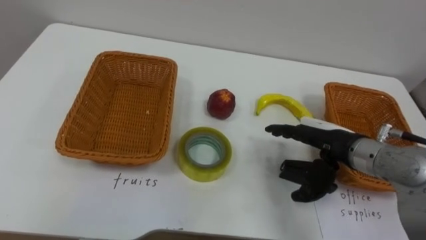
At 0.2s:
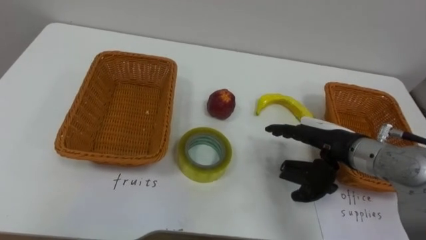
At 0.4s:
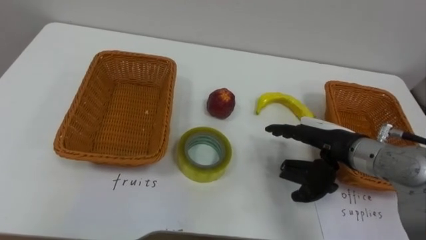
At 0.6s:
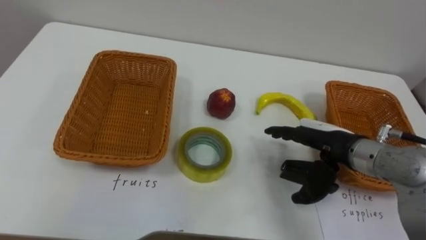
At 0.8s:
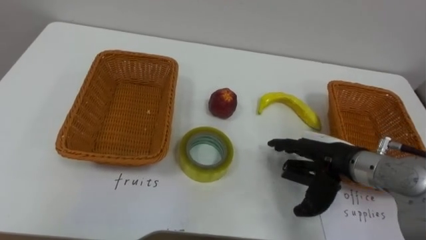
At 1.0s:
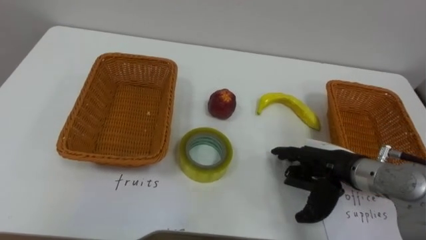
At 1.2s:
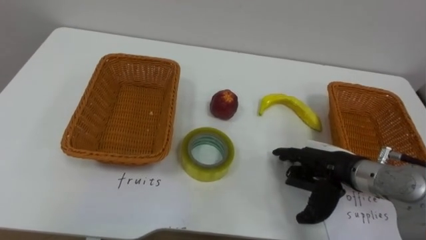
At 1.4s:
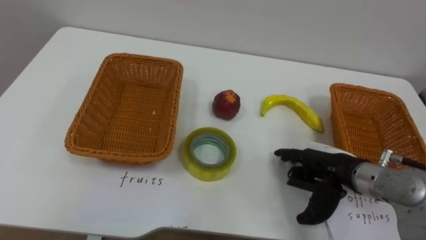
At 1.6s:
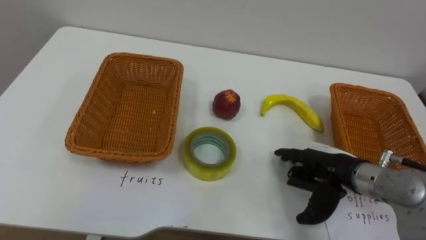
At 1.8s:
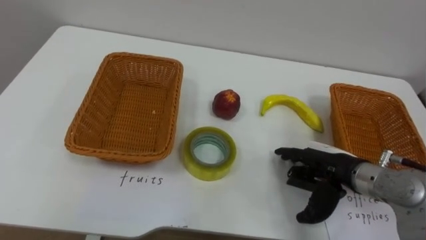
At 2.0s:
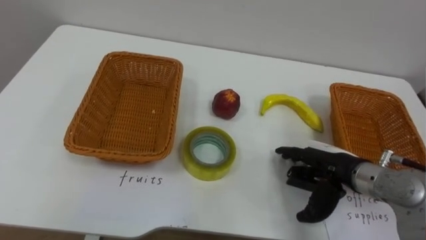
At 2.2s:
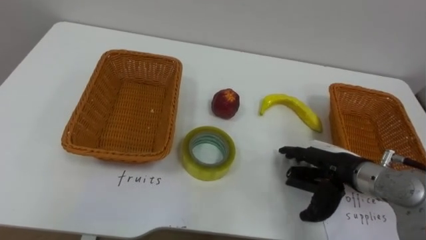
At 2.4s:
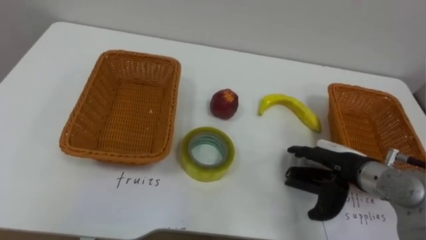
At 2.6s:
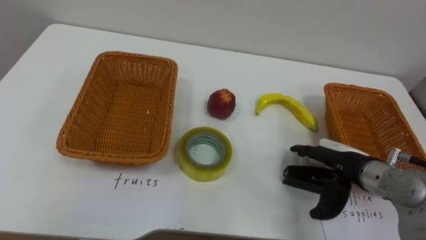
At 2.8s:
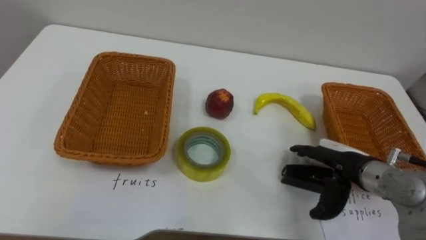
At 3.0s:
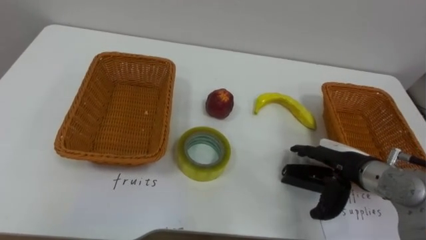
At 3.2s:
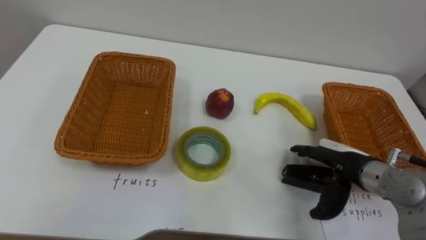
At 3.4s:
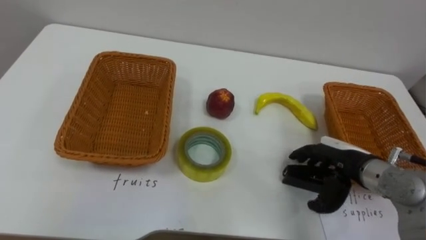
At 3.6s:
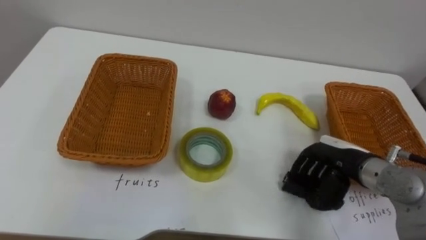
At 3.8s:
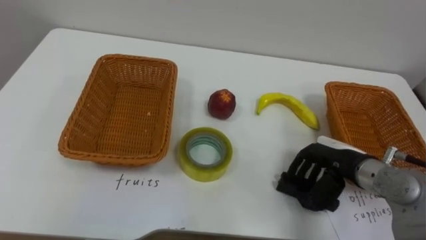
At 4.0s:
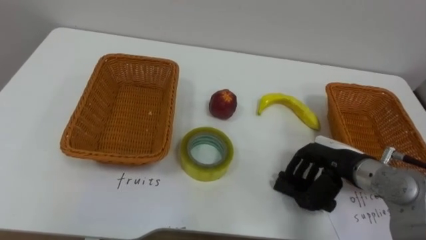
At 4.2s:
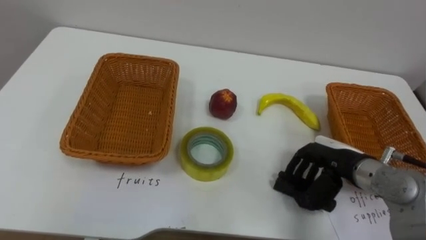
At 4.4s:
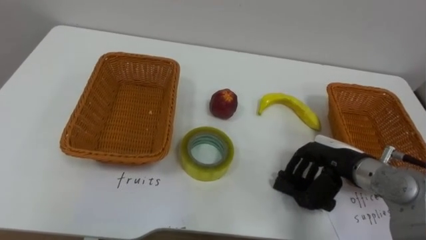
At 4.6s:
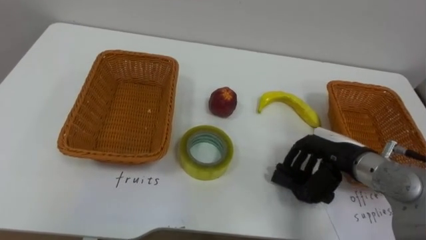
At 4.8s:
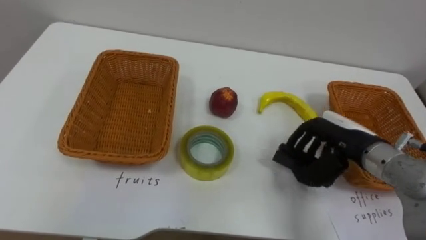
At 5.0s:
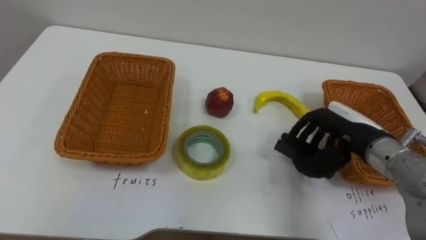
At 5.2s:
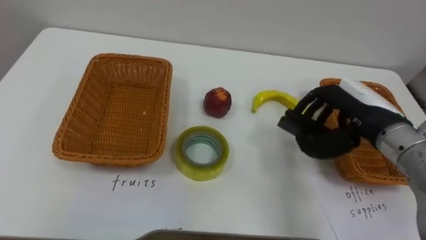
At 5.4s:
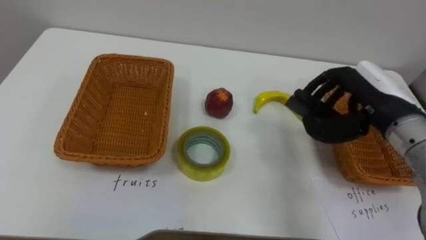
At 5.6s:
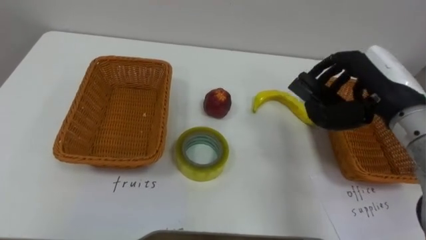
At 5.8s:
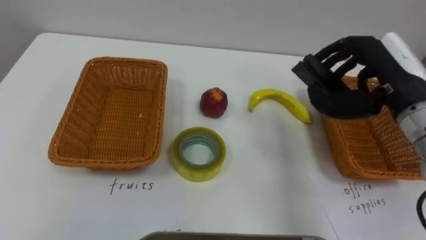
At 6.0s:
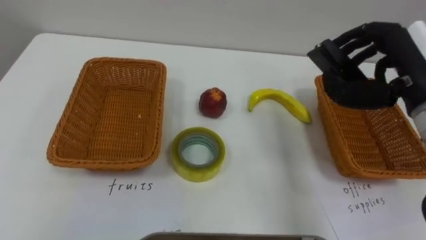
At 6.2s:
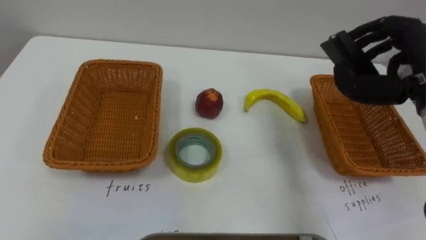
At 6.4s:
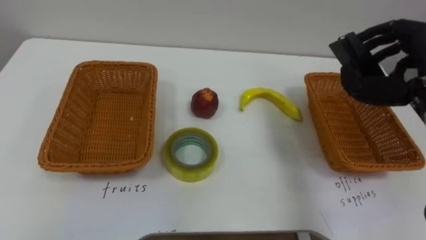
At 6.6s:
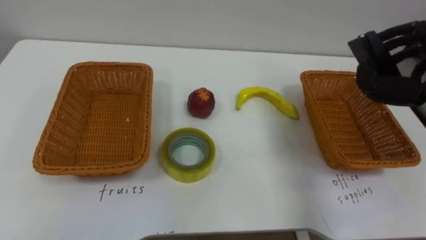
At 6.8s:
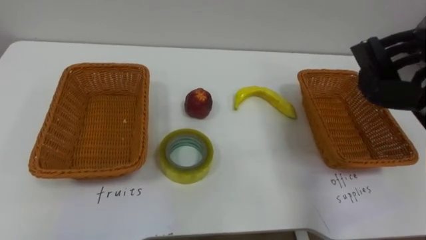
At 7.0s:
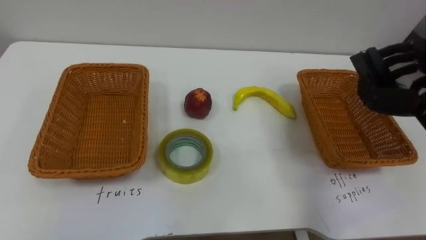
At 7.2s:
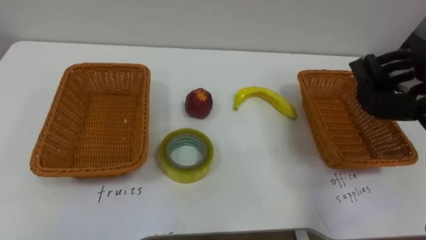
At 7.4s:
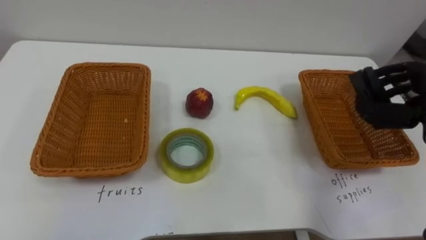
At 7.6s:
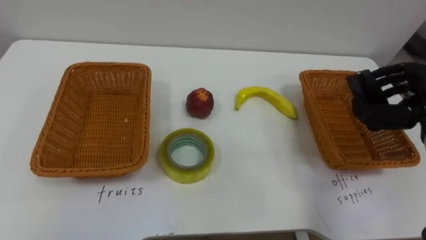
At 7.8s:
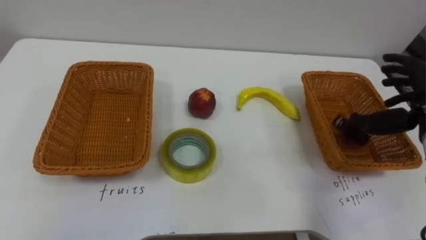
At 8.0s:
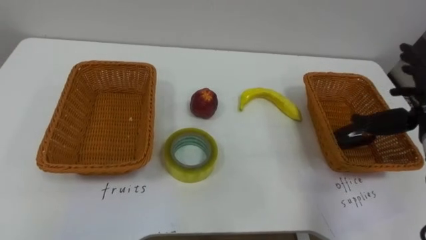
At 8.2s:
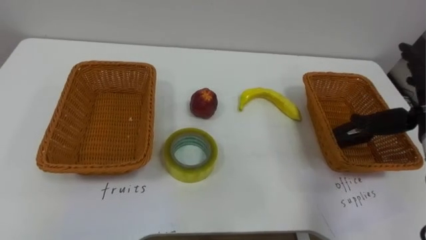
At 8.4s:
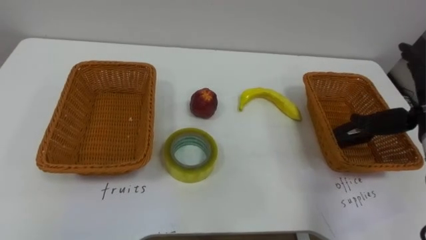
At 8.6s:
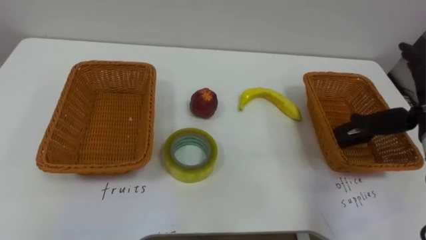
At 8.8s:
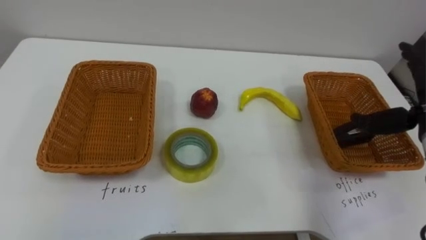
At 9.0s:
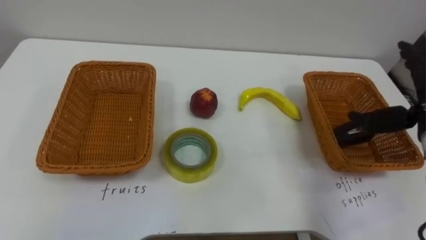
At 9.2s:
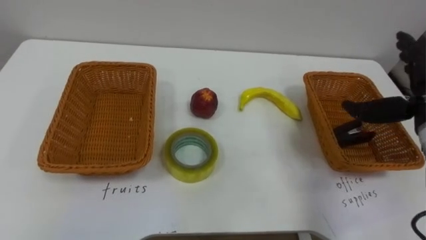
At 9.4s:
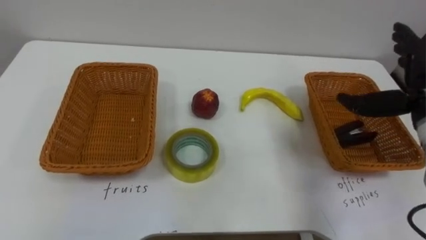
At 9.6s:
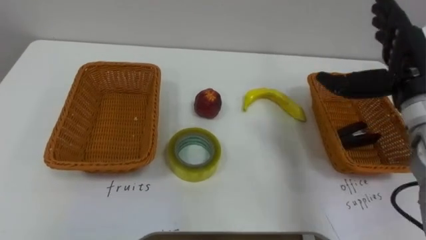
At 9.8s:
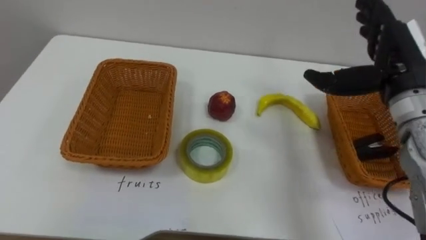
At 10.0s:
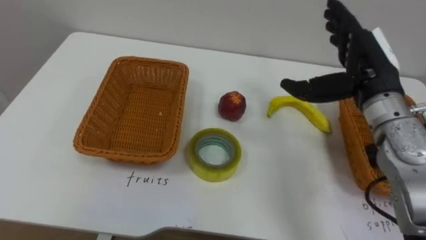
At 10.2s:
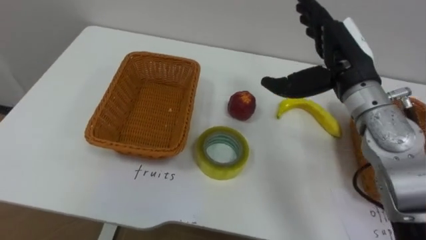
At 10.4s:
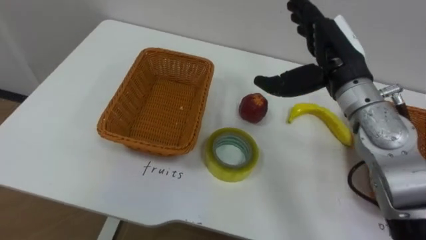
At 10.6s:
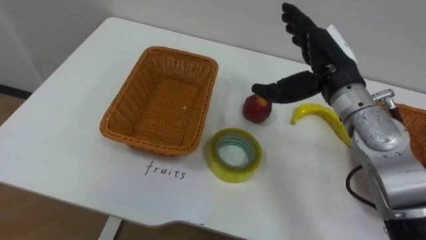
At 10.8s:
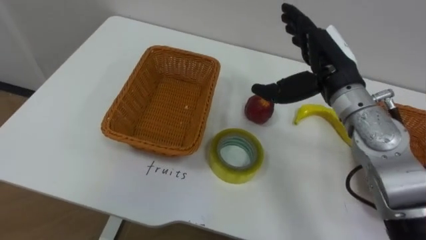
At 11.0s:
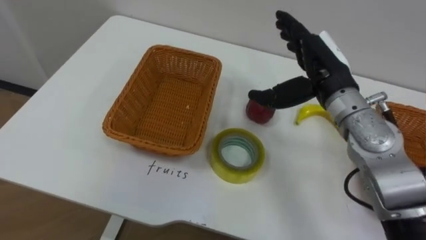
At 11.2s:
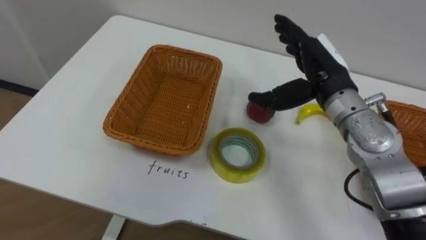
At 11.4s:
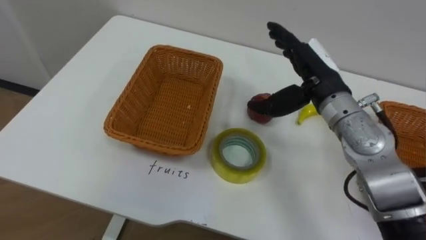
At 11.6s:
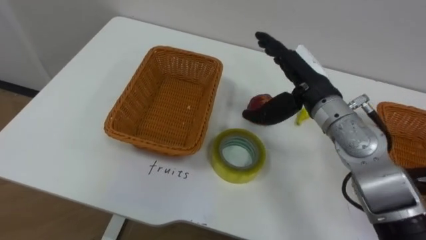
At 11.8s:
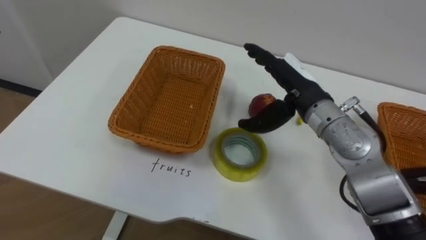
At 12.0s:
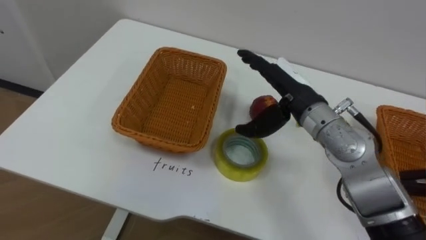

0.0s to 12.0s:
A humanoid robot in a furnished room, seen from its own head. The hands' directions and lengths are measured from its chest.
Task of the whole recording: Separate the items on the table and place them into the two baskets.
0.0s to 1.6s: The right hand shifts by some 5 cm.
3.0s to 4.4s: The right hand closes up.
4.4s to 6.0s: The right hand travels upward by about 15 cm.
10.4s to 12.0s: The right hand goes roughly 10 cm downward and to the left.

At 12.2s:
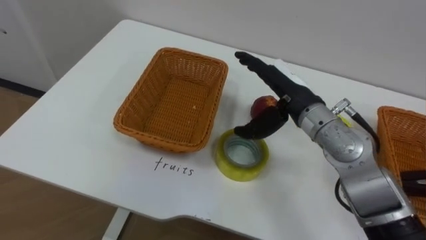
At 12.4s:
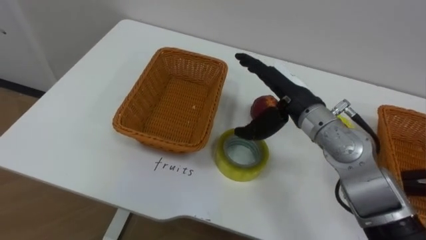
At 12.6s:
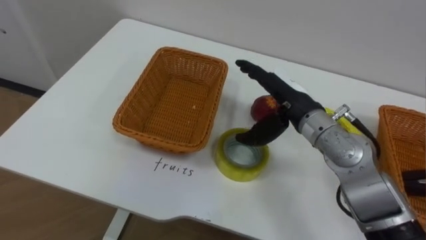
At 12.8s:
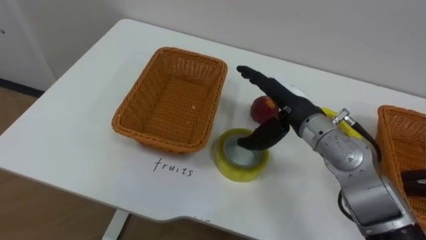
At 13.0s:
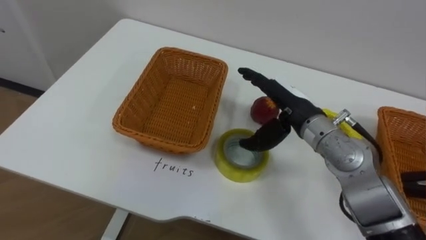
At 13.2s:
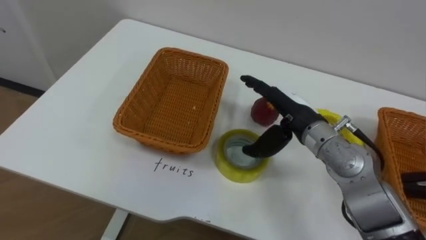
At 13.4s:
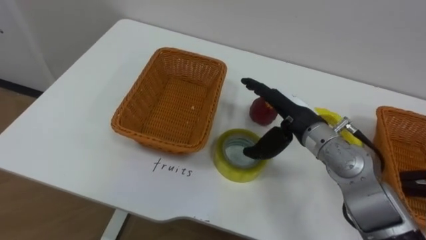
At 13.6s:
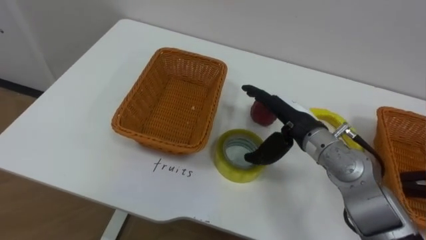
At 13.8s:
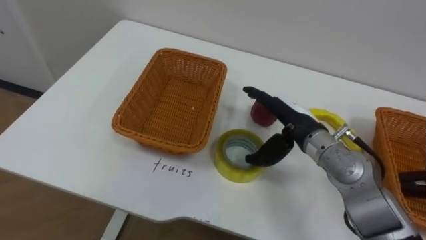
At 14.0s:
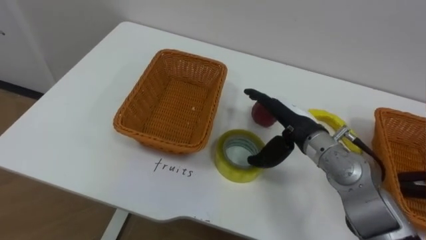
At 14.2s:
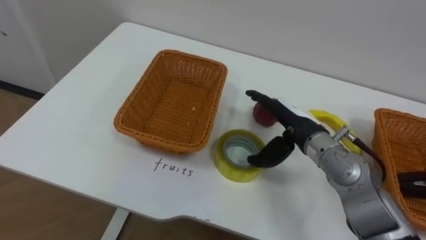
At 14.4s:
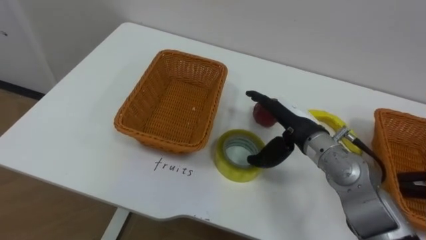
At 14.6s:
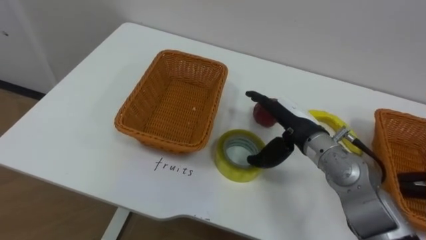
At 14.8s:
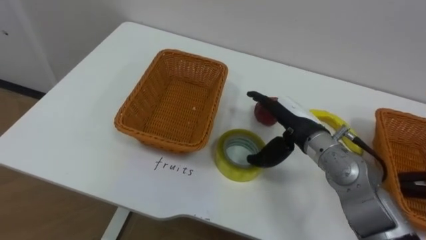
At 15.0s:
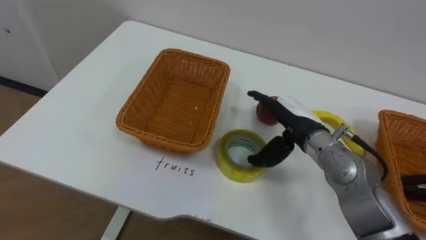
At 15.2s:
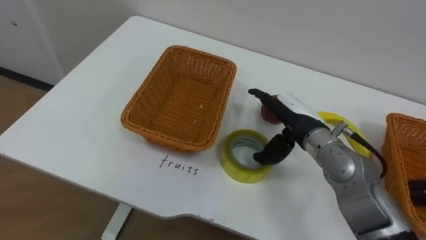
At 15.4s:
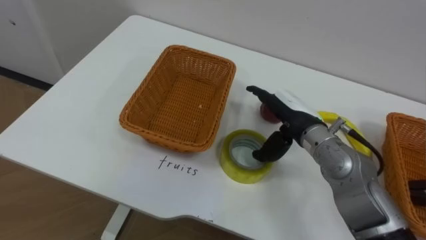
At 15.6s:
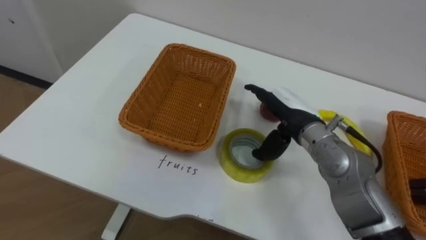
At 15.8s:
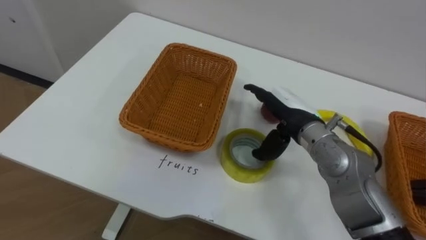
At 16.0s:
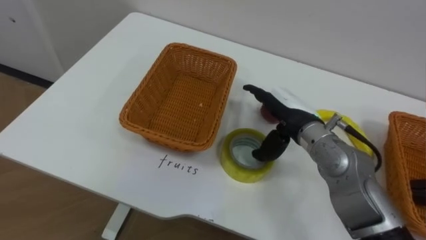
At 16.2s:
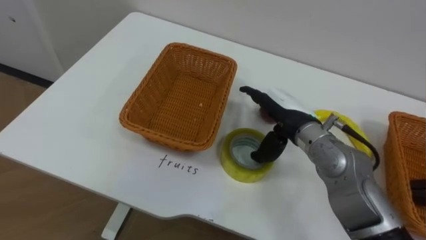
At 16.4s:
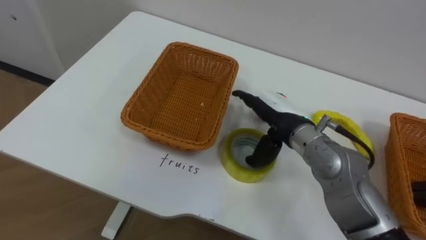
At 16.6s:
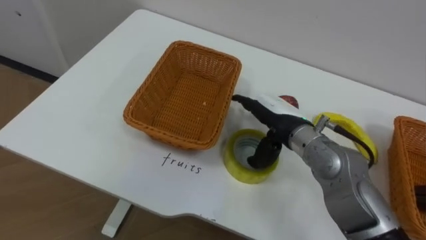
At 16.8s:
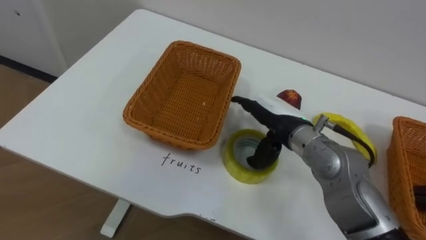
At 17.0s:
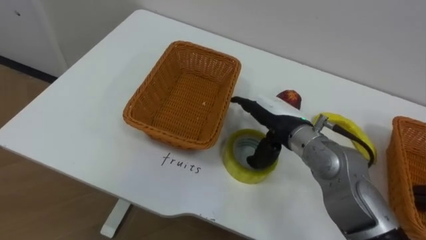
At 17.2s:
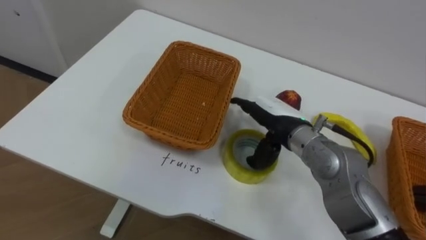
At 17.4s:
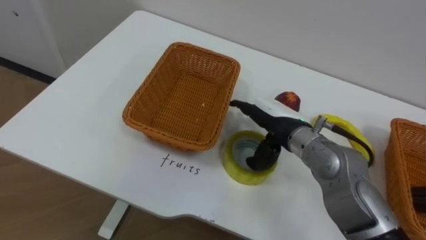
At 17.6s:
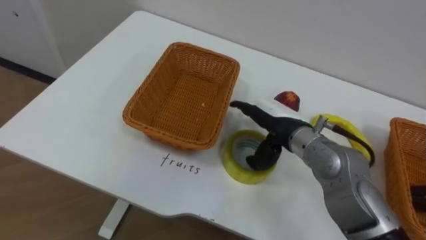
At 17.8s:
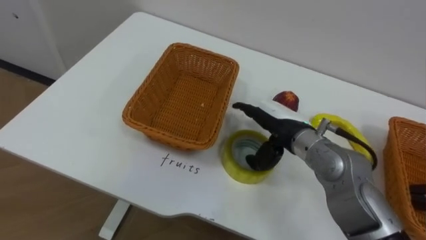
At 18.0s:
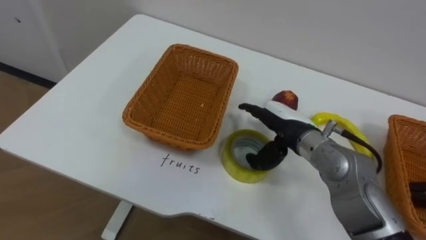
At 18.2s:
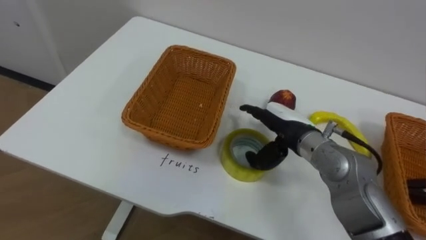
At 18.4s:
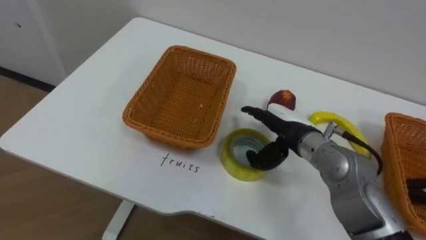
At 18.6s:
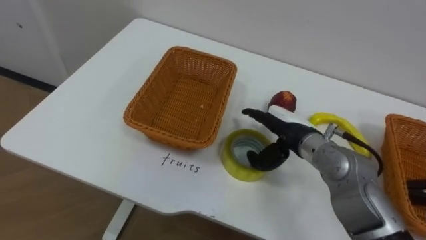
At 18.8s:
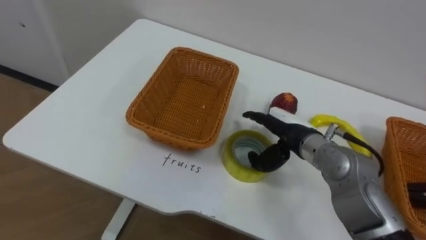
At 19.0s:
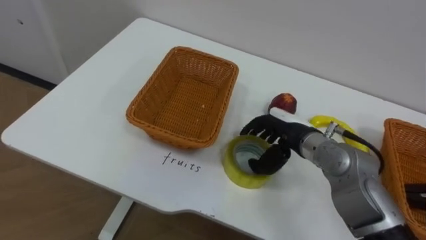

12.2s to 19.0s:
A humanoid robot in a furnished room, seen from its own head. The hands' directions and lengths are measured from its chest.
Task of the whole recording: Separate the items on the table and place them into the two baskets.
12.2s to 13.6s: The right hand is displaced downward by approximately 5 cm.
